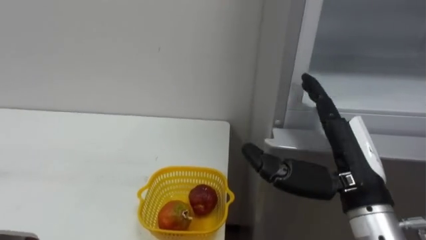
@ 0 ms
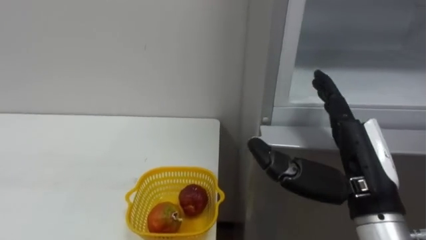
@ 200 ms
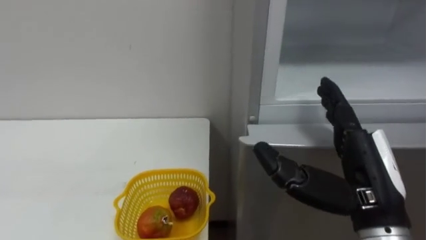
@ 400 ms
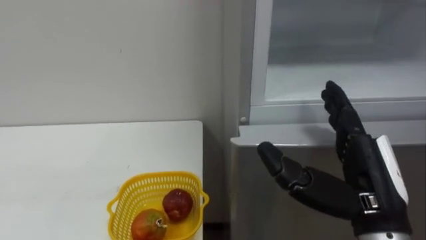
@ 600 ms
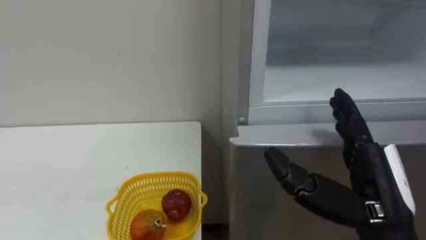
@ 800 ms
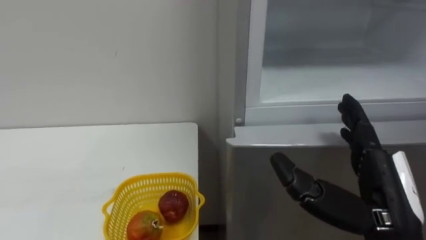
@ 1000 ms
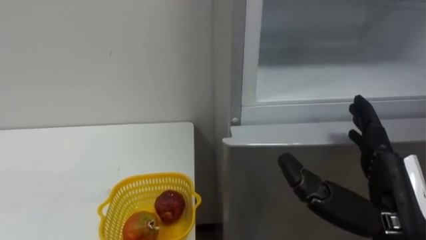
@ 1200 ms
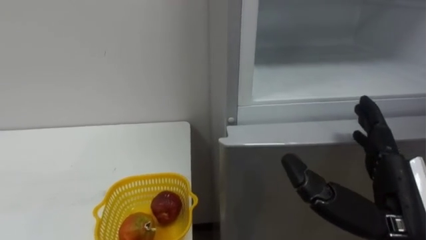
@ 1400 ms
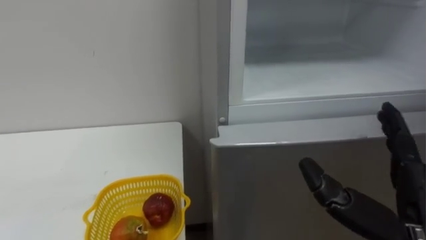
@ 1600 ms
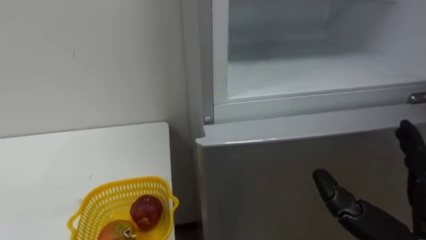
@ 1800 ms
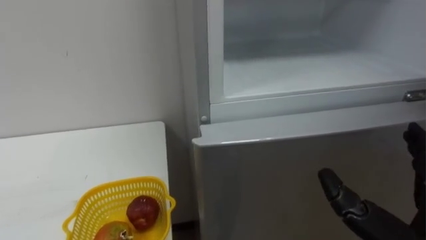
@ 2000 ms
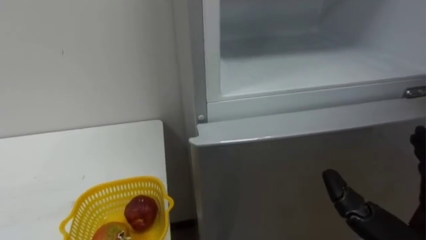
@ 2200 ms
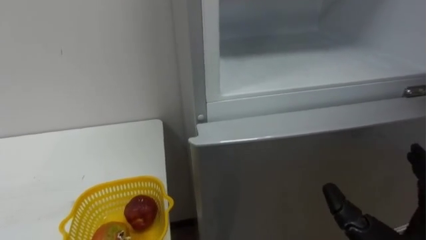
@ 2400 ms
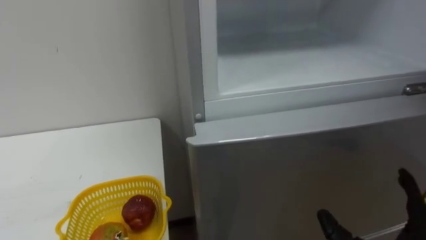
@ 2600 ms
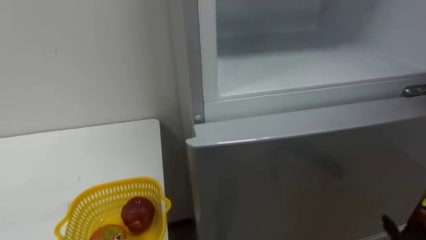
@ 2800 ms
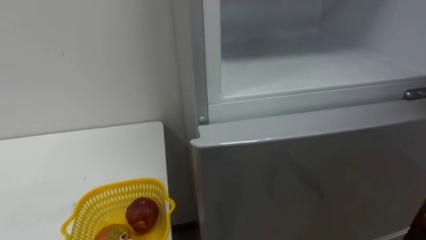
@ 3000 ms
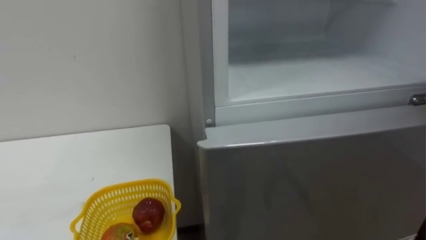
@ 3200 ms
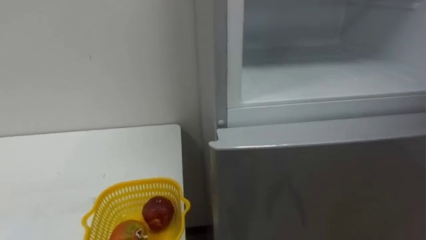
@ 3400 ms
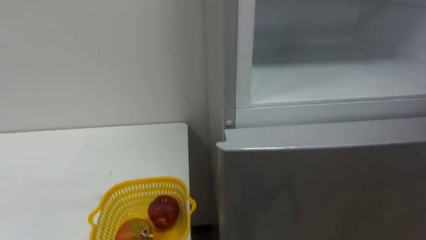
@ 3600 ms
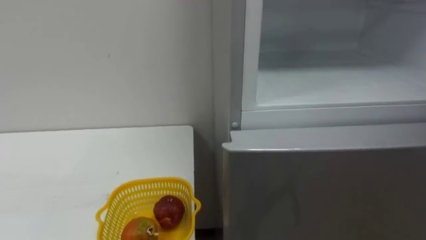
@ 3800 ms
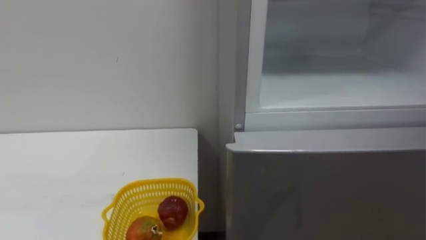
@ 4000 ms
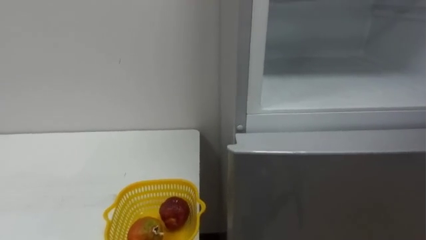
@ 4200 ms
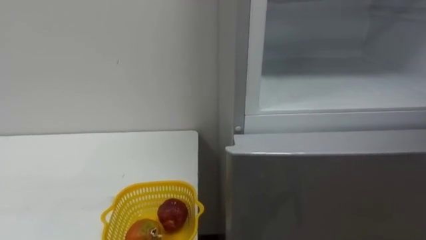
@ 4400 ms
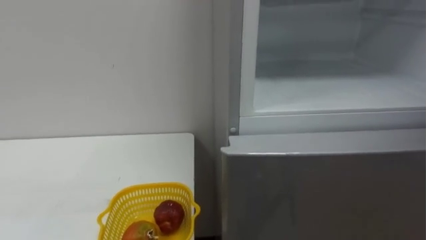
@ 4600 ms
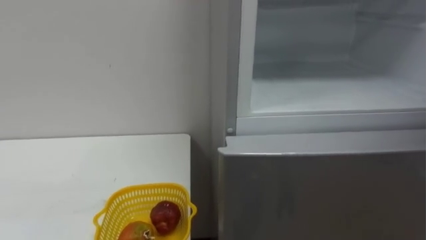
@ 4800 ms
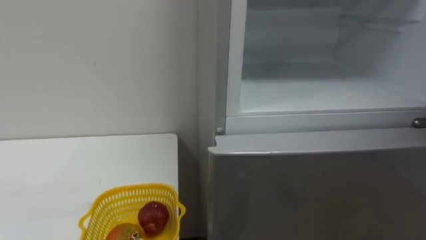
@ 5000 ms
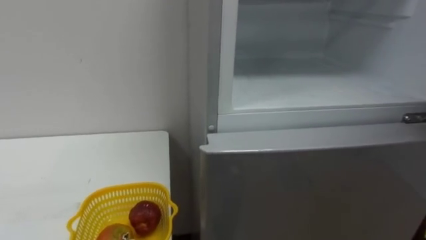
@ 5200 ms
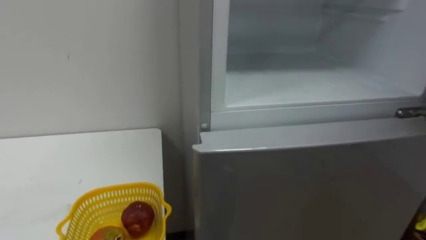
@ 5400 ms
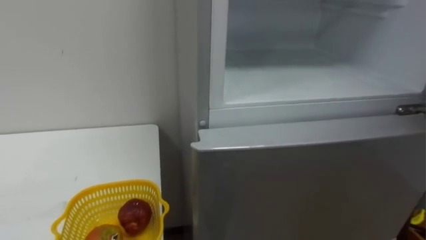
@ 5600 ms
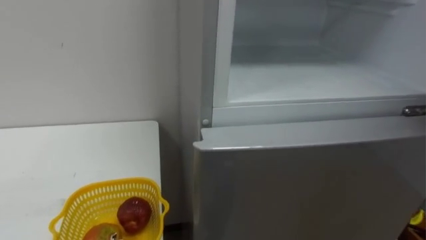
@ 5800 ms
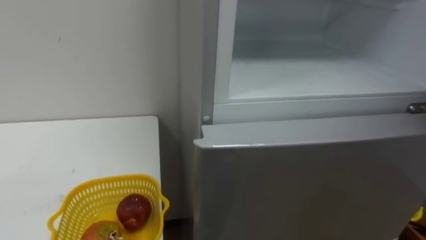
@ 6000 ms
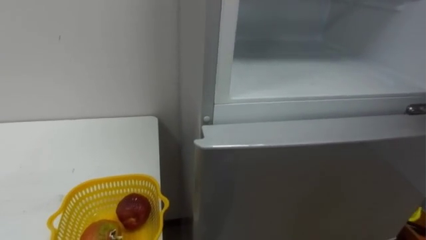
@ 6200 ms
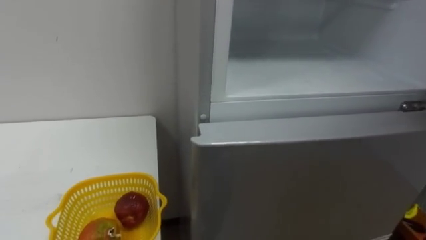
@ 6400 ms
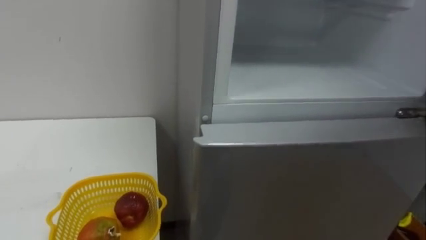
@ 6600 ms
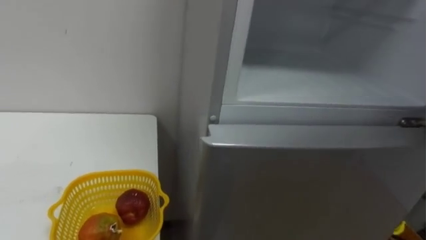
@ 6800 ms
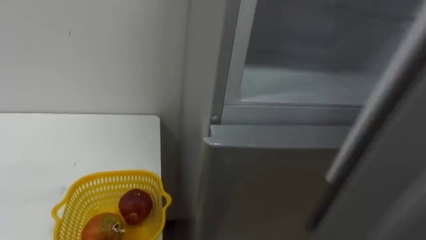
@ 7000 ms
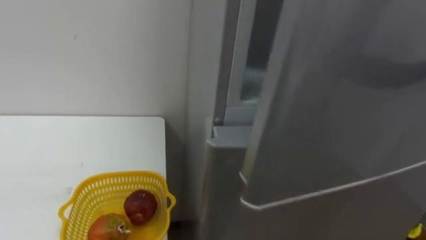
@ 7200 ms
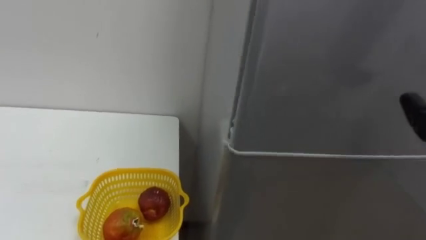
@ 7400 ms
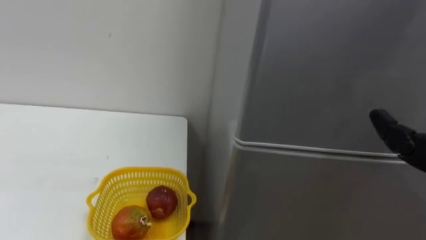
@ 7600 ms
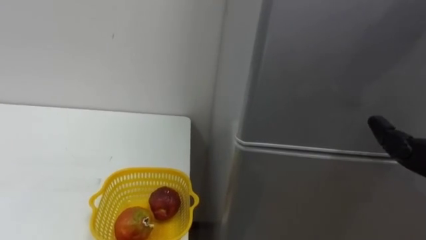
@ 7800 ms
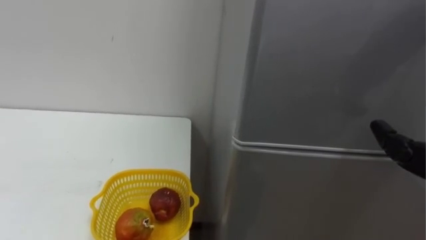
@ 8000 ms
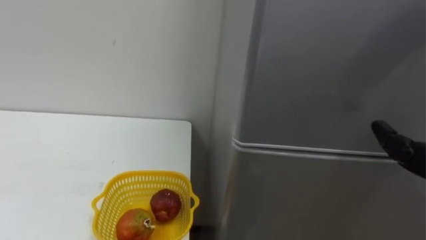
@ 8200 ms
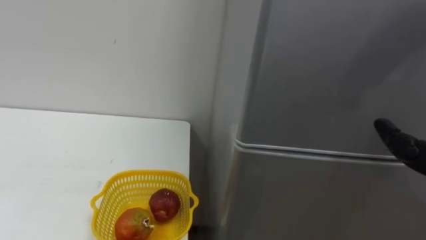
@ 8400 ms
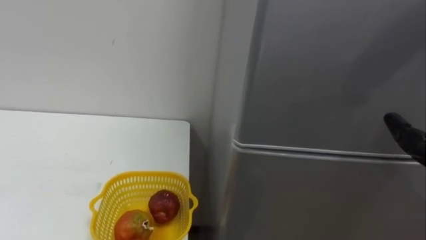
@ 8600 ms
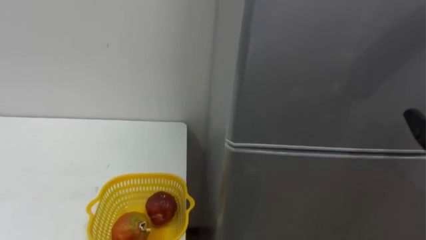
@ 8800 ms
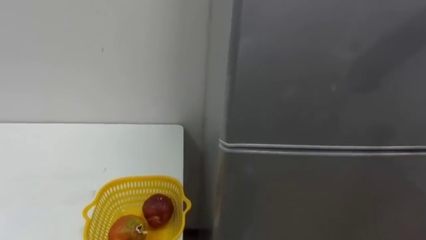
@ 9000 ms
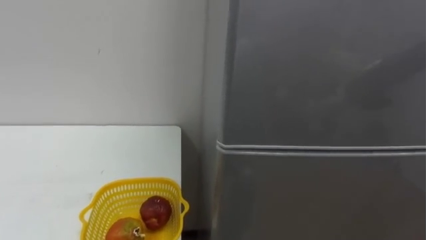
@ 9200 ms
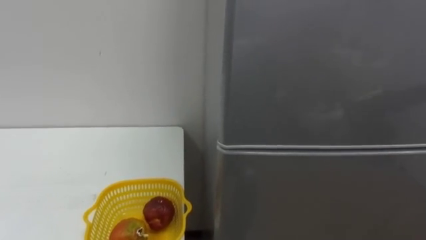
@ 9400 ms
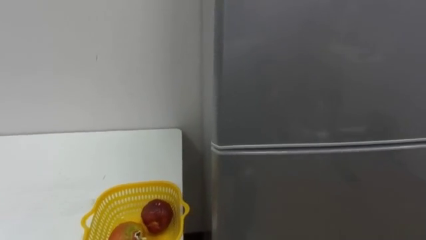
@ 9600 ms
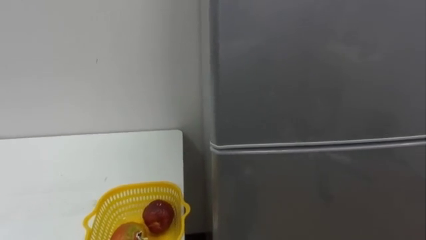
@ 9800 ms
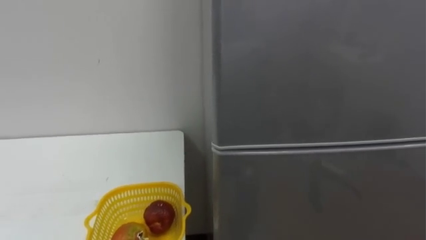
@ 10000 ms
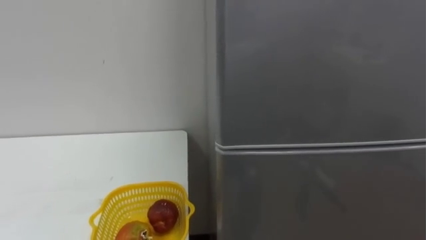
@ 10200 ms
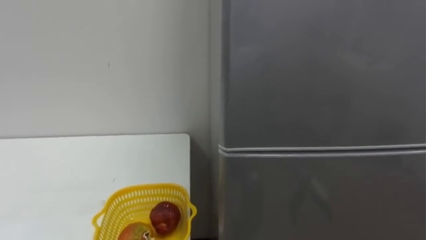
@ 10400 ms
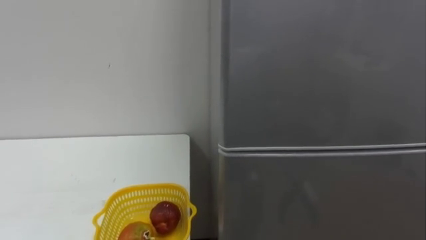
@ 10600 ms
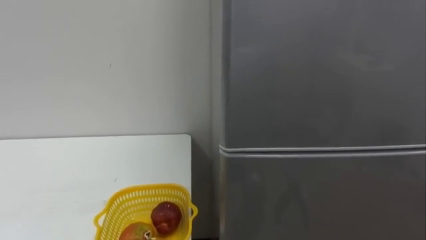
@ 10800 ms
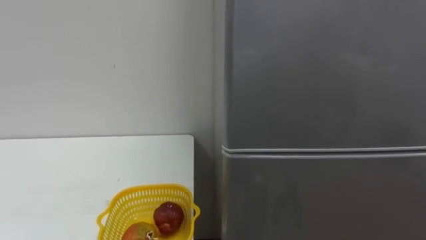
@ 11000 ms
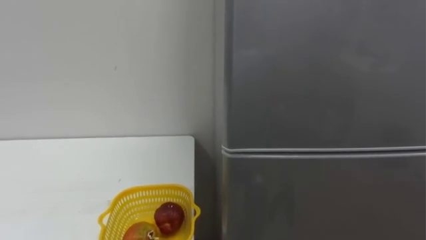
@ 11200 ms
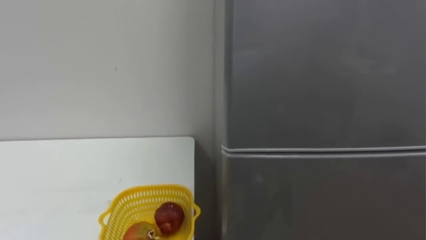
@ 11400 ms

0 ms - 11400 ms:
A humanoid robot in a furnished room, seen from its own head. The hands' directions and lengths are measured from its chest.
Task of the whole recording: Open the refrigerator door, take out the apple and the pomegranate, place them in the fruit basket on the left, and close the refrigerator door.
0 ms - 1400 ms: The right hand is displaced backward by some 5 cm.

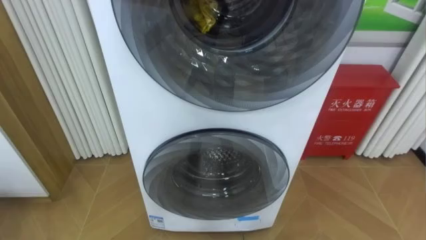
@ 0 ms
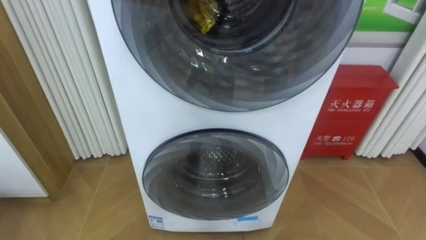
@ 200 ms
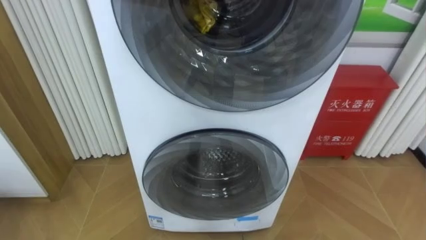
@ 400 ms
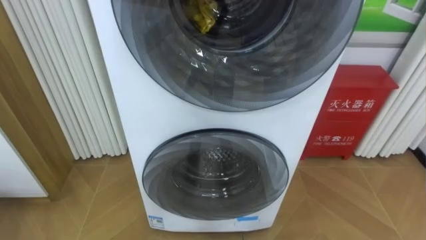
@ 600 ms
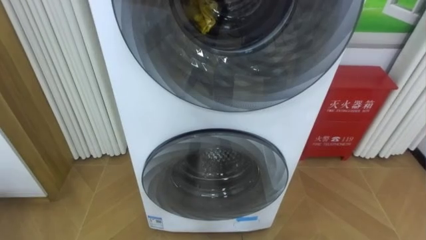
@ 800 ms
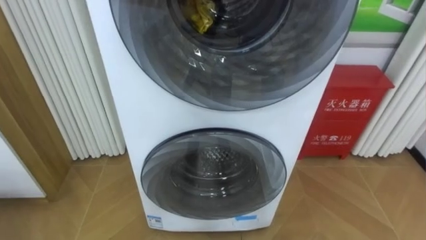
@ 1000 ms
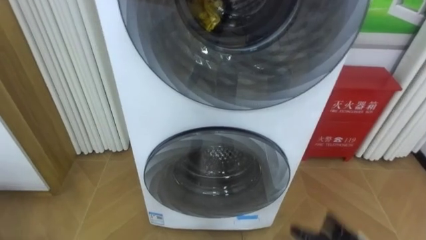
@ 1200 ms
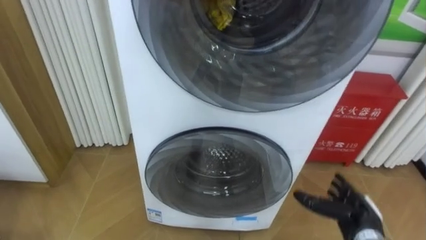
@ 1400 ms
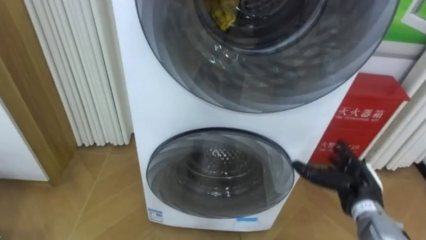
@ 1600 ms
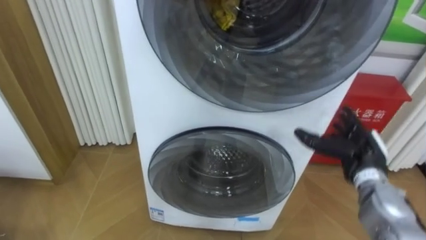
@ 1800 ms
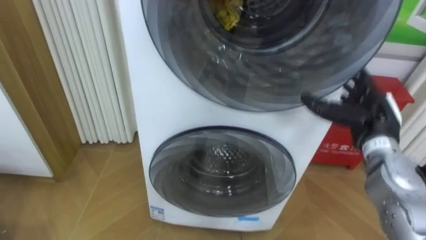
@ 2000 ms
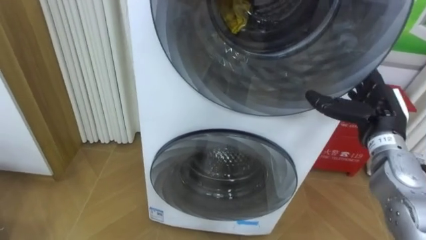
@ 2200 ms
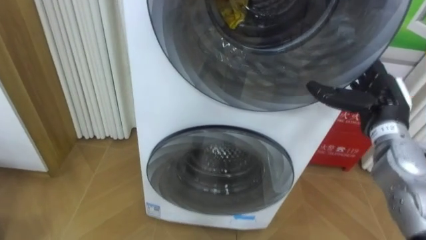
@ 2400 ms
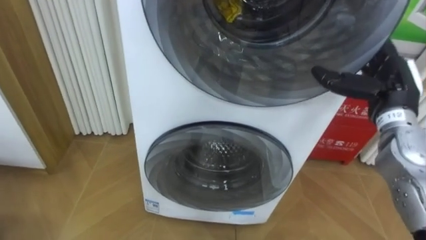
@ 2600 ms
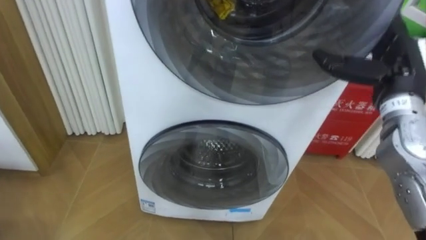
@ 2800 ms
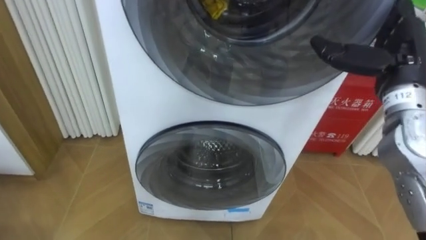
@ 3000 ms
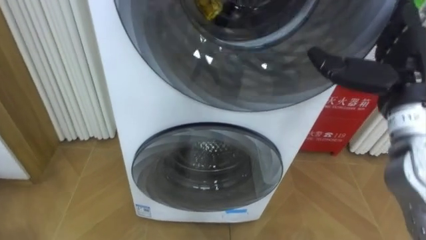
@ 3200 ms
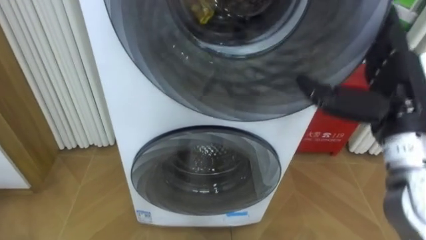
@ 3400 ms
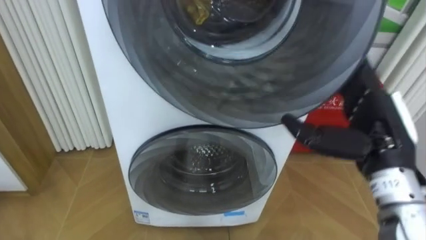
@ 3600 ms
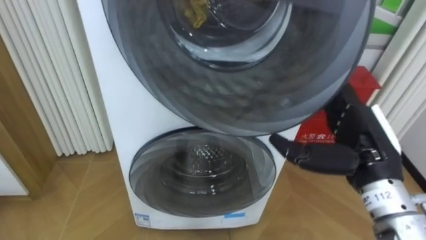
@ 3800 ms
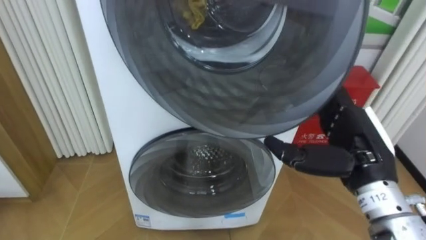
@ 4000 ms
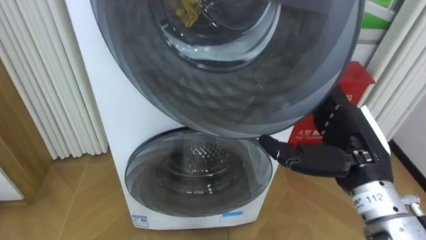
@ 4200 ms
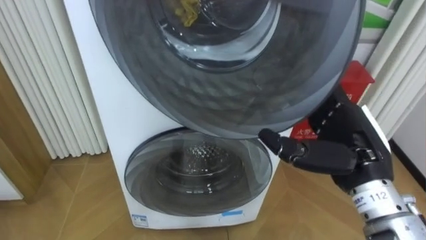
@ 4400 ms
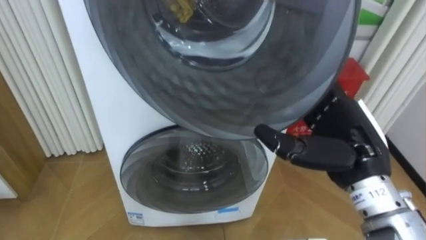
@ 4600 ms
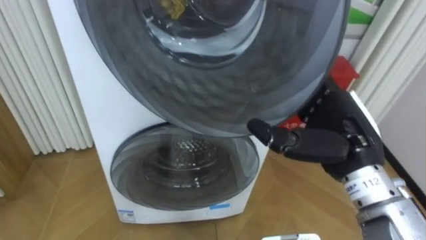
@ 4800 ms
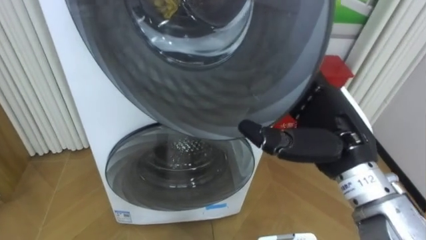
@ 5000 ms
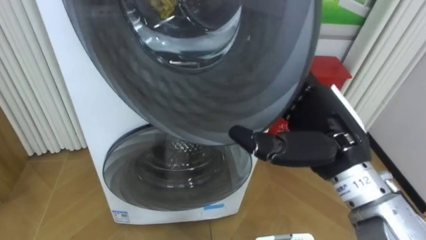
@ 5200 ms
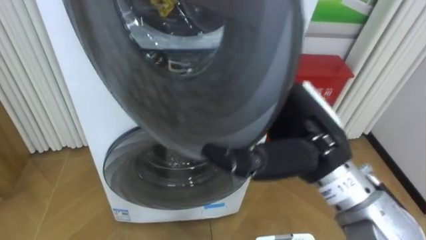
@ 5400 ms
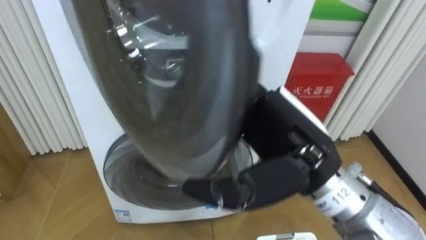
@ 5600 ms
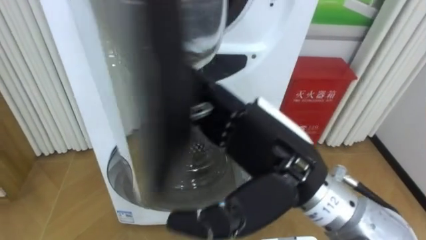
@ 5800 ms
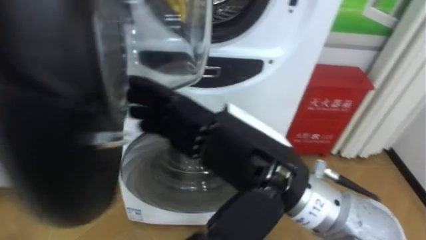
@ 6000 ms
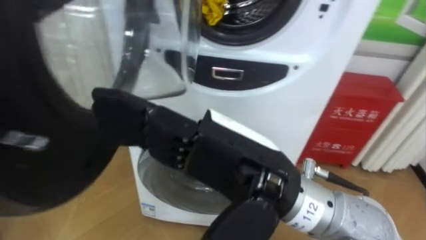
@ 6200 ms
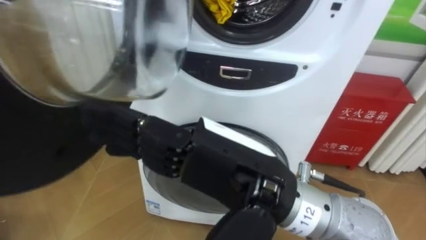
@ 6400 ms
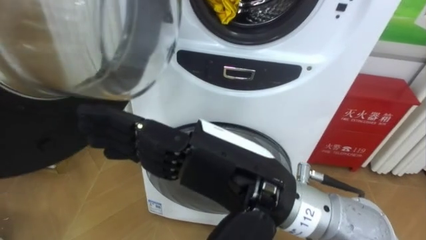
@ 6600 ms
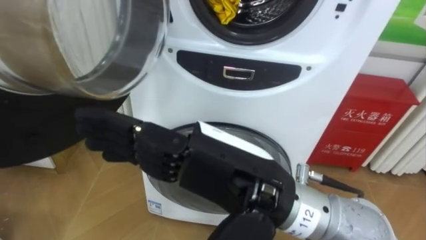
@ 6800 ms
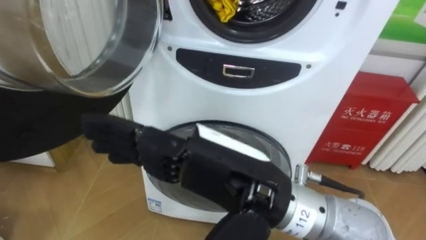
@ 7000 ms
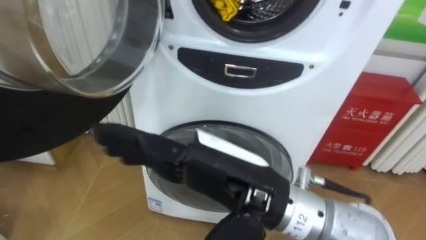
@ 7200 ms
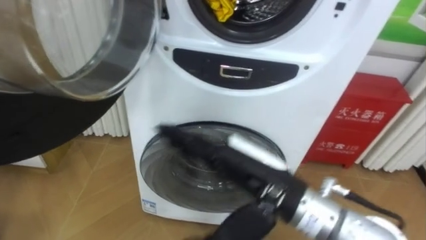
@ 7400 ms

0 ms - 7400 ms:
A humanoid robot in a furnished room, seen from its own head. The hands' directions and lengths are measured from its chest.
Task of the whole recording: Open the washing machine door, take out the yellow clothes, place them in the box on the right, and close the washing machine door.
1400 ms - 3000 ms: The right hand moves upward, some 30 cm.
3000 ms - 4400 ms: The right hand heads backward, downward and to the left, covering approximately 15 cm.
4400 ms - 6000 ms: The right hand is displaced to the left, backward and upward by some 15 cm.
6000 ms - 7400 ms: The right hand is displaced downward by about 5 cm.
